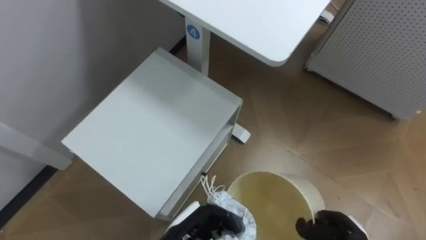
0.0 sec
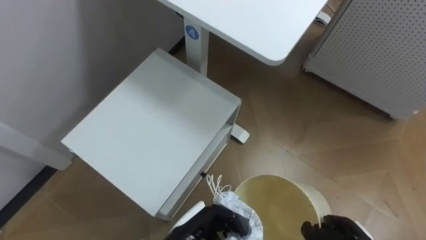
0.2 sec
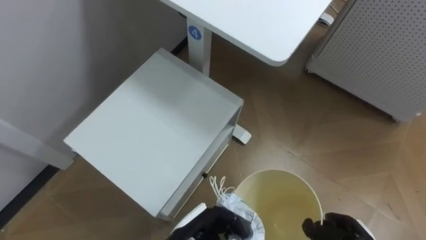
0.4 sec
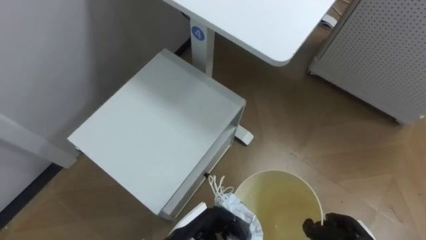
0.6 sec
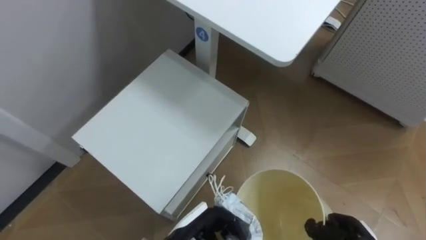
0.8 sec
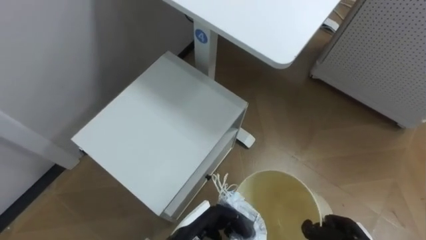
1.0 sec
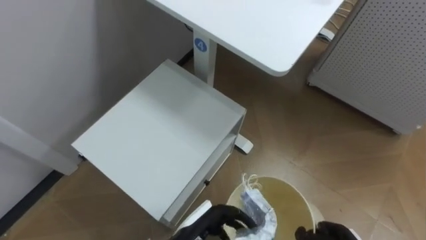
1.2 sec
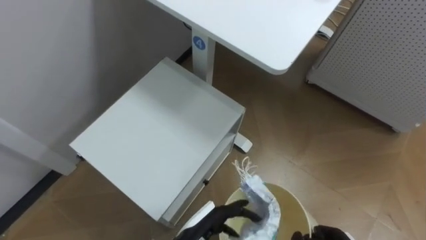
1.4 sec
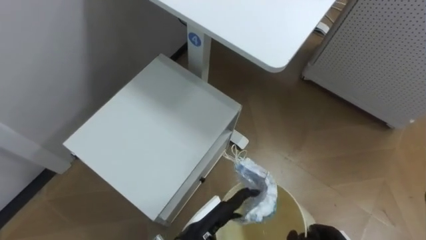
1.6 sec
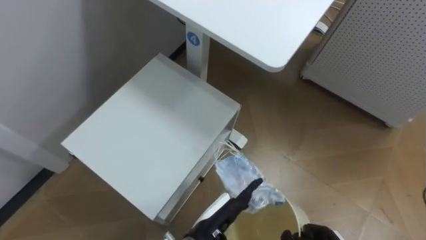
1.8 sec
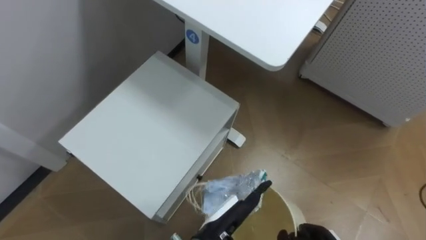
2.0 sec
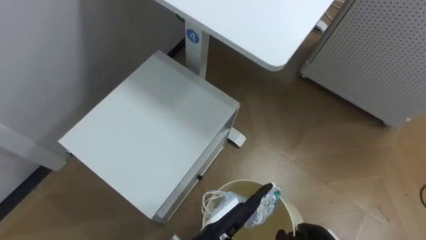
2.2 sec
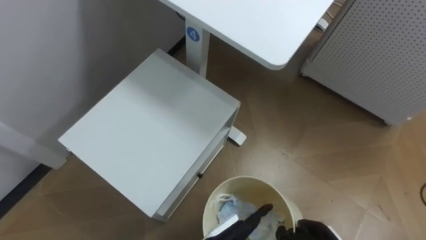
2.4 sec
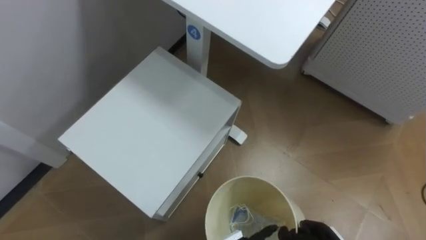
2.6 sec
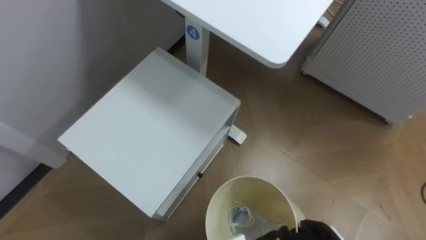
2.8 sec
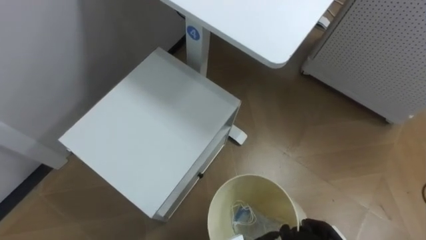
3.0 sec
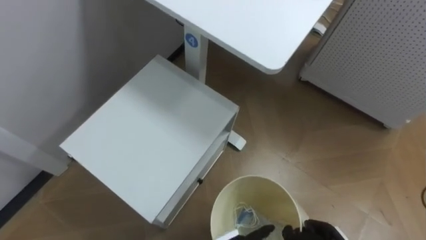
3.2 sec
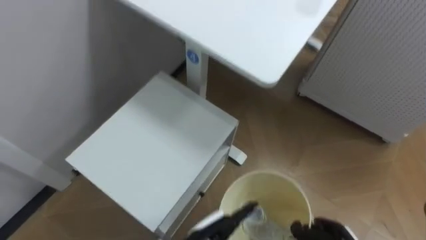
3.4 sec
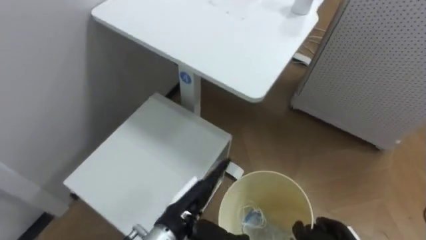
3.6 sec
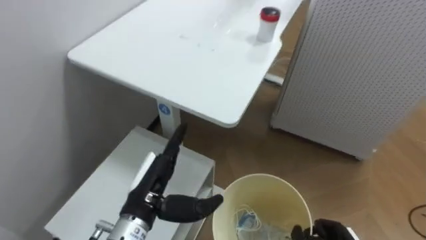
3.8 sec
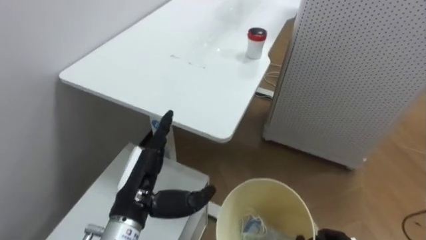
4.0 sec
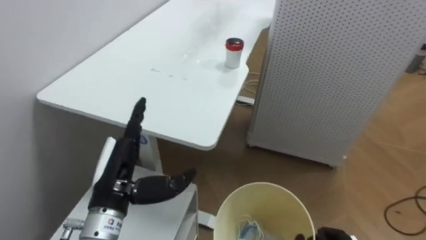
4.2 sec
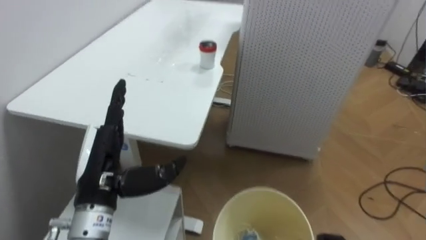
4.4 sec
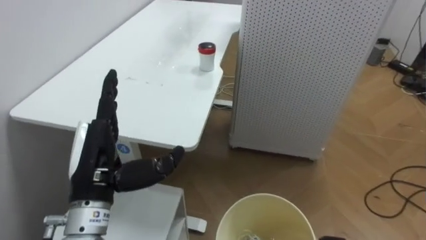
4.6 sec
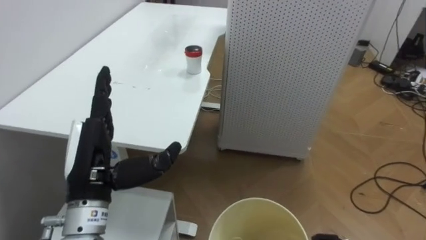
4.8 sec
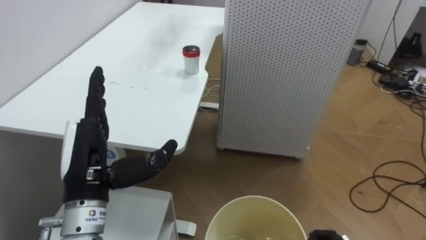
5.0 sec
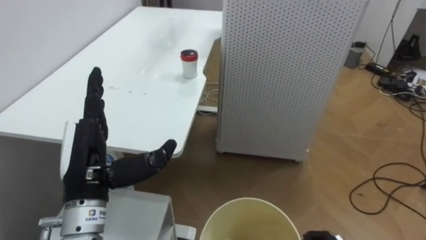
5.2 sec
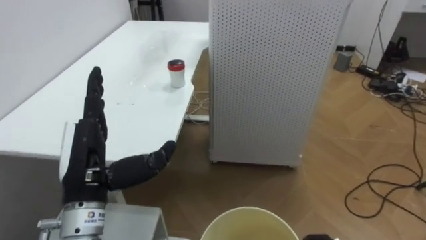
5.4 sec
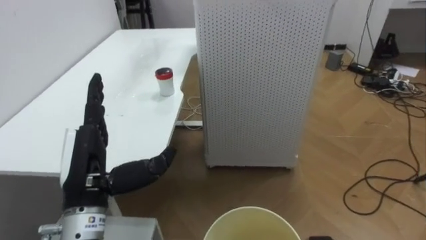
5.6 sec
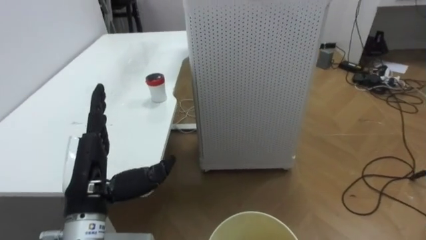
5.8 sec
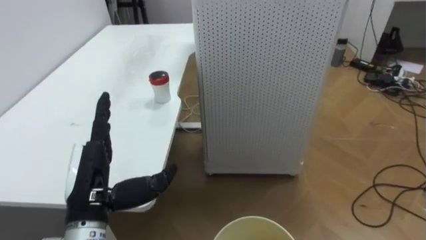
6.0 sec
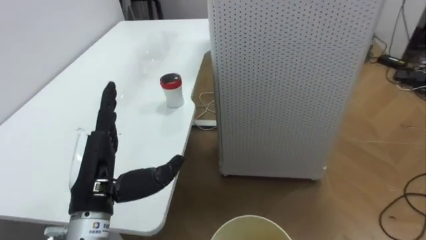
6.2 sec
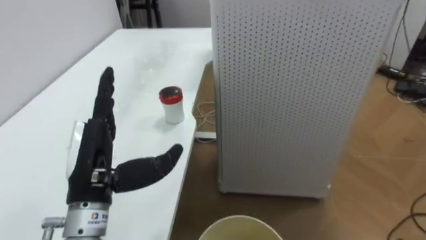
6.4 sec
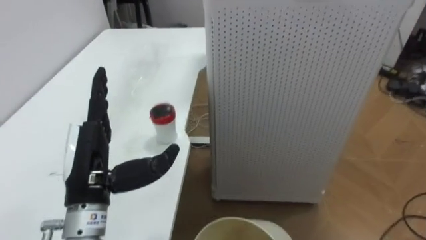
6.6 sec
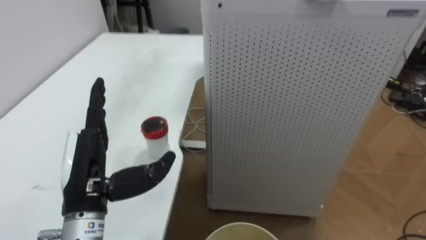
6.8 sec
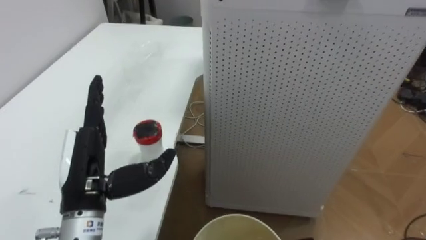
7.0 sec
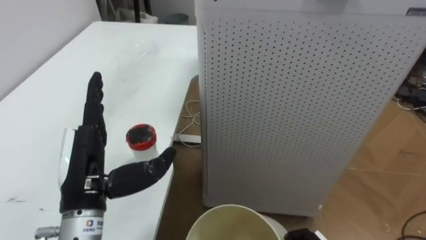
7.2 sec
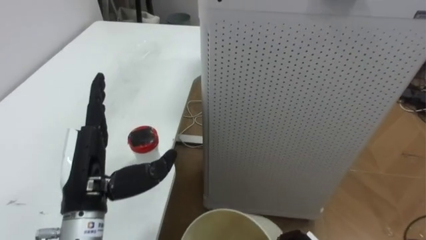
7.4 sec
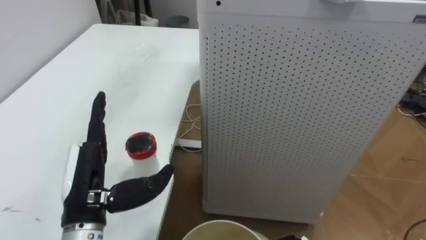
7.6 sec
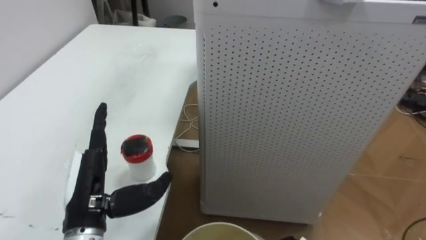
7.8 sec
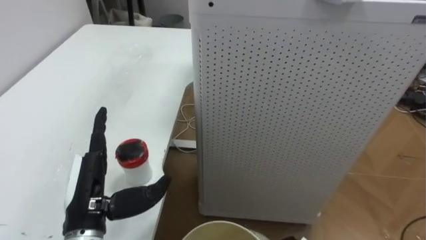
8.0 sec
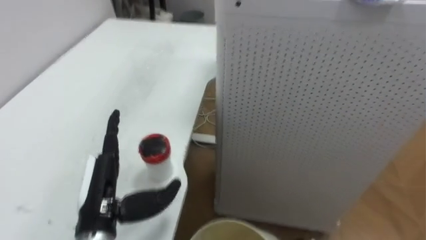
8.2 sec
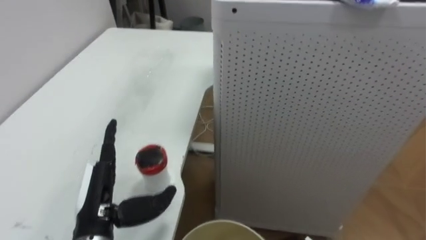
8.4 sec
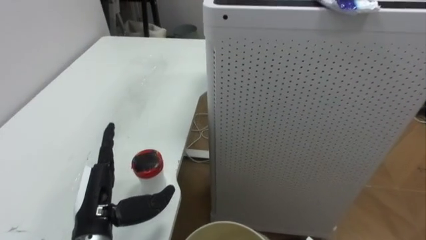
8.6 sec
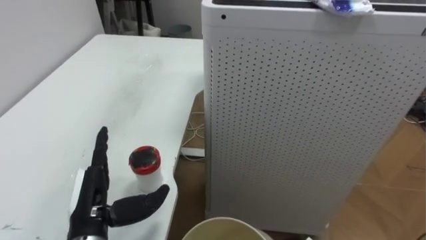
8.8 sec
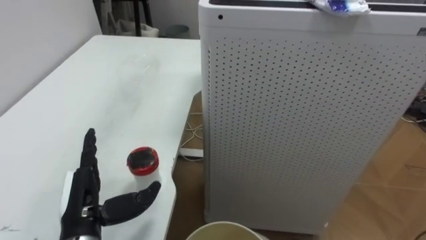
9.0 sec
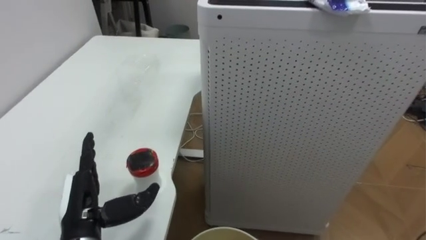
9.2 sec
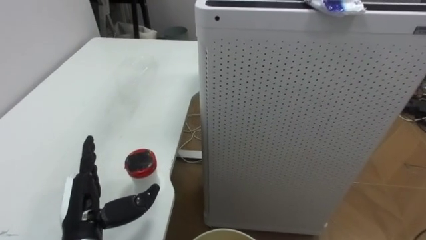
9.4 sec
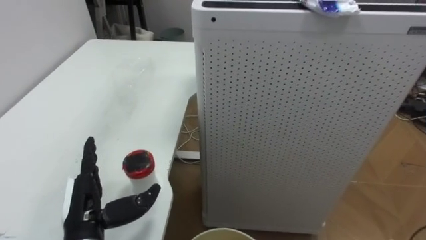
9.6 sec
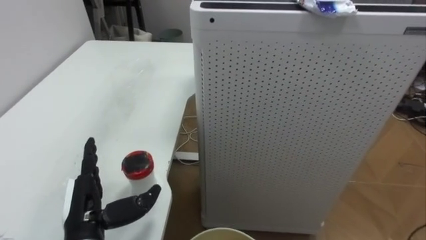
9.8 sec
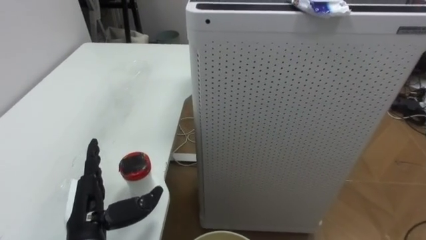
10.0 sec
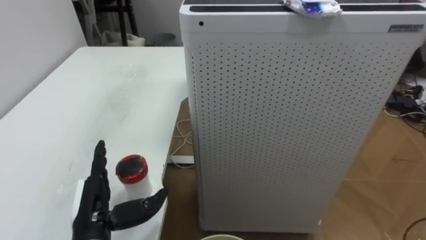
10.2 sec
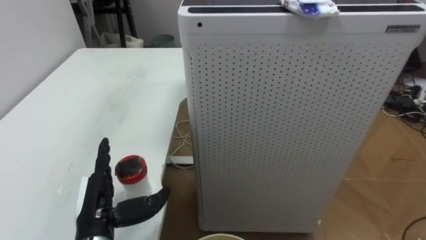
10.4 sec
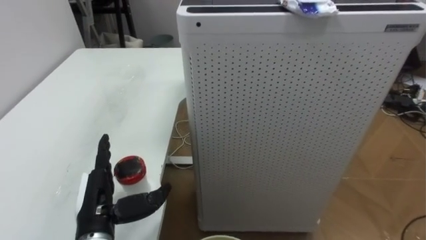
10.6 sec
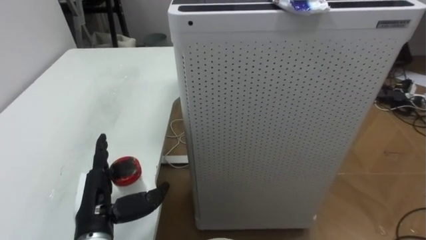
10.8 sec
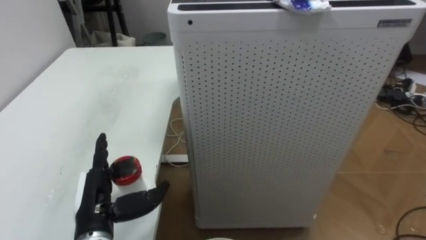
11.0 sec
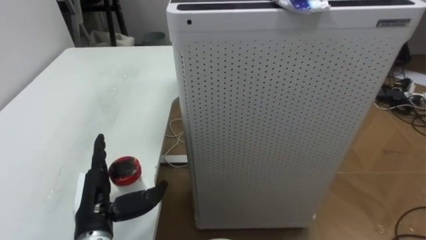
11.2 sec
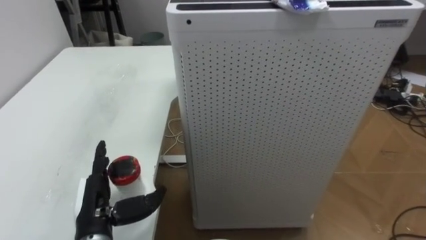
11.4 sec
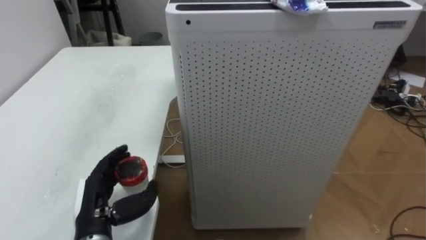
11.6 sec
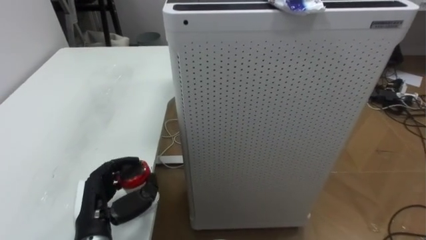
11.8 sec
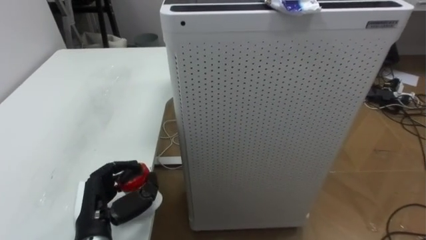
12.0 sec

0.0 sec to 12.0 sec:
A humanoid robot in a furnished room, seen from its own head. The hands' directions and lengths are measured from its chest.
Task of the whole recording: Pick up the light blue package, the candy box, and the dark blue package separately, and put them into the trash can held in your right hand.
0.0 sec to 1.6 sec: The left hand opens.
3.0 sec to 4.4 sec: The robot's body swings approximately 25 degrees to its right.
7.6 sec to 9.0 sec: The left hand travels downward by approximately 5 cm.
10.4 sec to 12.0 sec: The left hand closes.

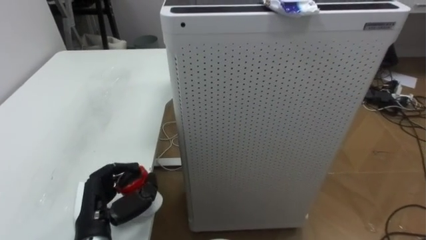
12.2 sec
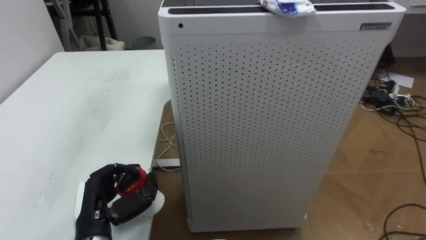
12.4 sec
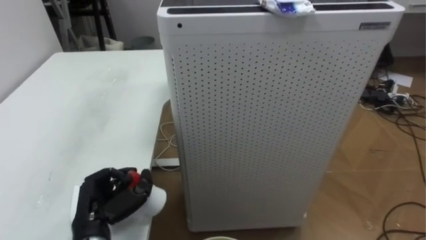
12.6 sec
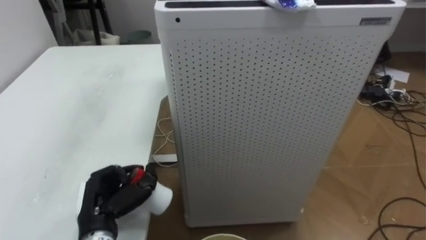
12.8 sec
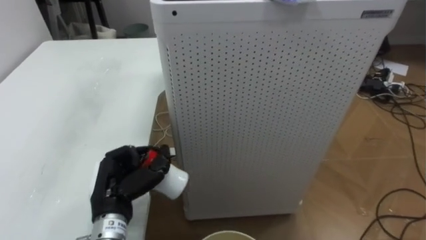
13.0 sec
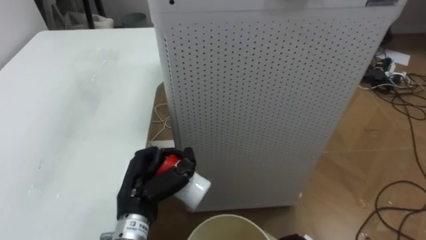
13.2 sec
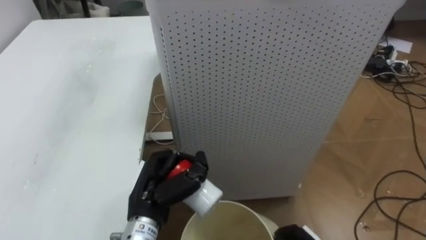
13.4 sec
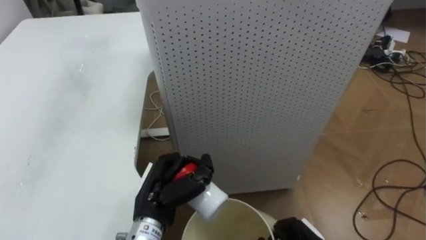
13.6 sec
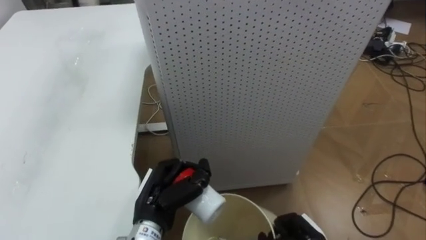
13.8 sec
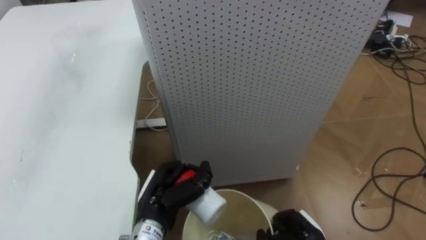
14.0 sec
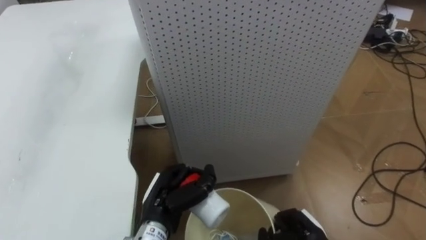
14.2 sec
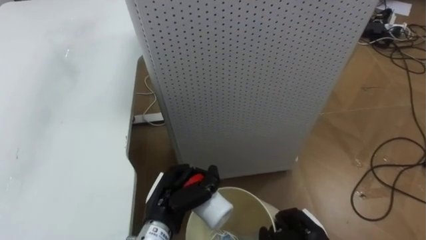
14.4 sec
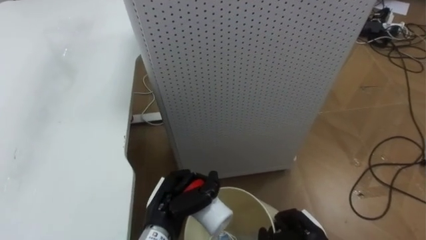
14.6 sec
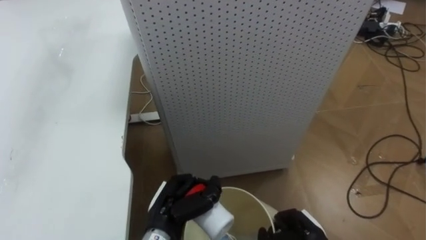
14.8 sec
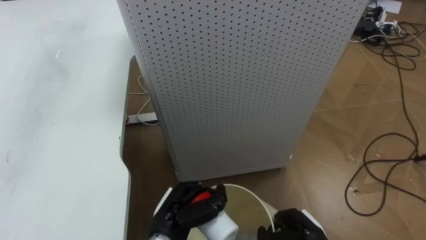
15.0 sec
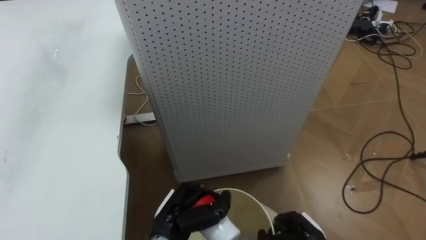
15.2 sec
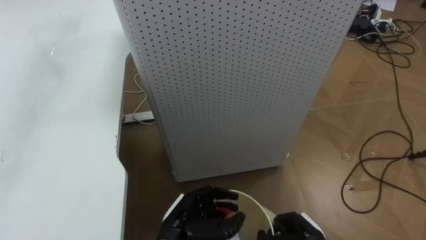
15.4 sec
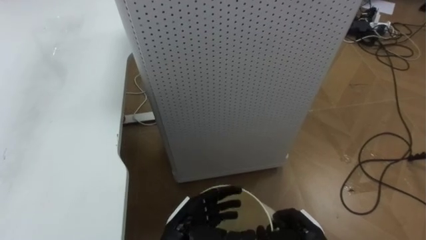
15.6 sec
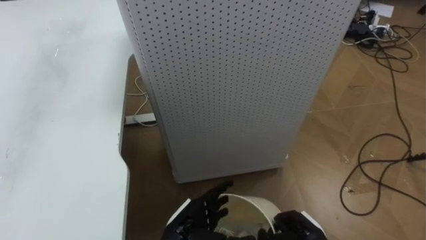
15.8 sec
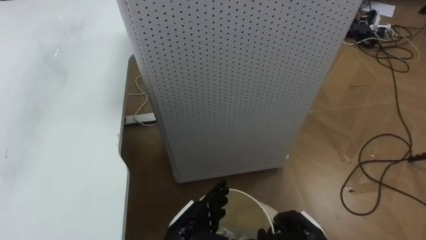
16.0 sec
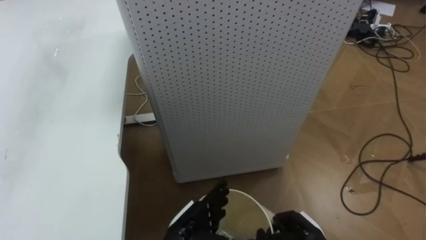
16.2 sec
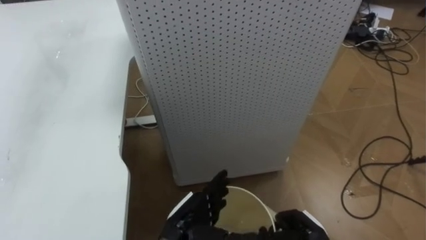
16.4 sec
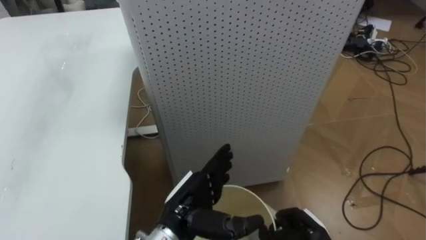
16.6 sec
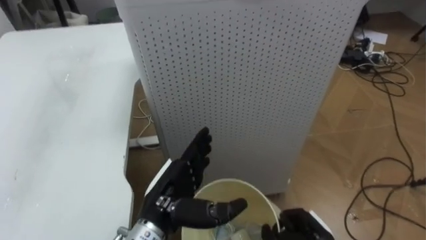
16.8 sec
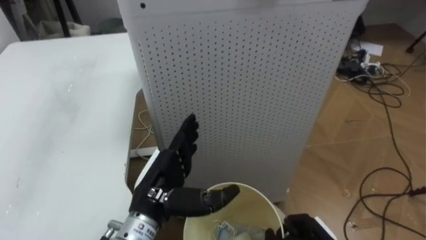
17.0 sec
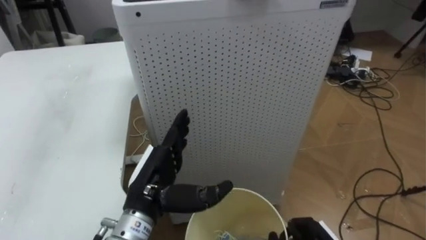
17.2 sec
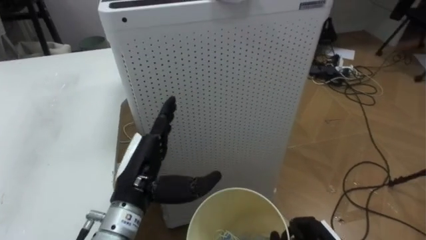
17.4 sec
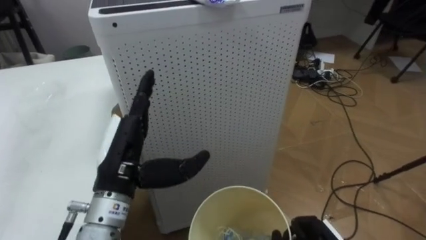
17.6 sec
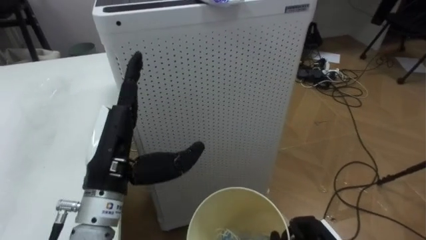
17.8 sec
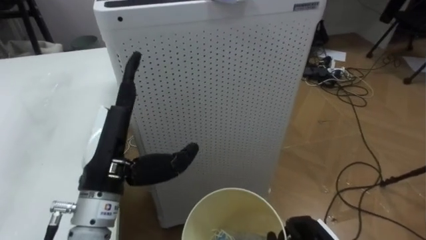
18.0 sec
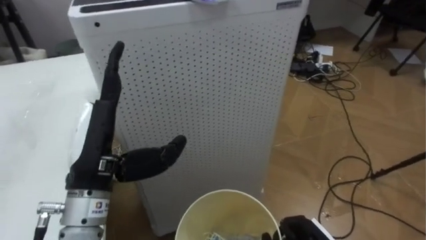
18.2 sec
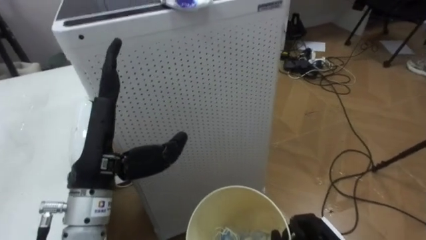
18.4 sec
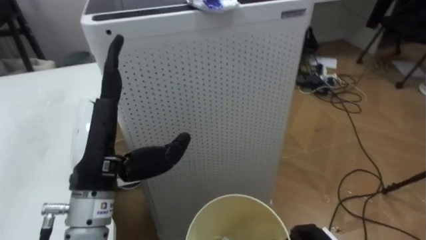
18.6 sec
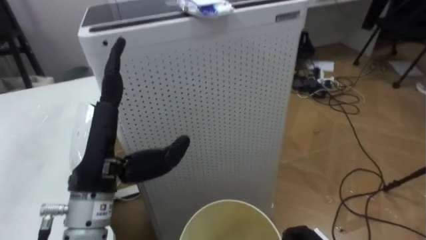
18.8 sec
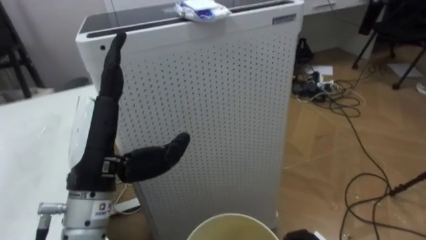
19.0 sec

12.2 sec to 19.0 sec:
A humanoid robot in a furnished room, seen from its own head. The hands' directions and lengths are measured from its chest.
Task of the whole recording: Pick up the light blue package, the candy box, and the dark blue package separately, and put them into the trash can held in your right hand.
12.2 sec to 13.6 sec: The left hand is displaced to the right by some 10 cm.
13.6 sec to 15.0 sec: The left hand shifts approximately 5 cm downward.
15.0 sec to 16.2 sec: The left hand opens its fingers.
16.2 sec to 17.6 sec: The left hand heads upward and to the left, covering approximately 20 cm.
17.6 sec to 19.0 sec: The left hand travels upward by about 5 cm.
